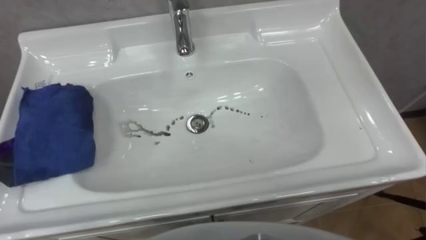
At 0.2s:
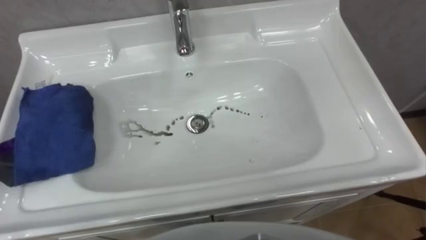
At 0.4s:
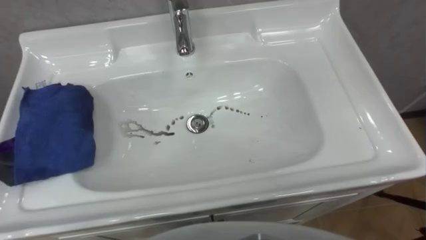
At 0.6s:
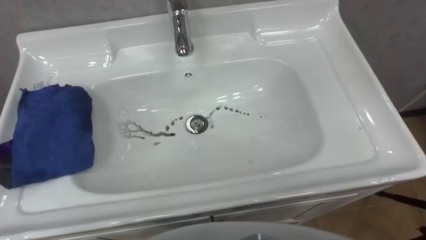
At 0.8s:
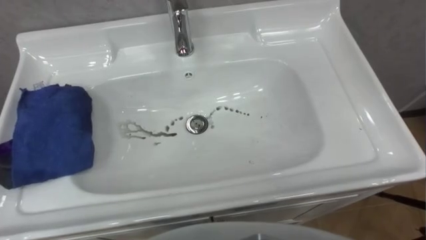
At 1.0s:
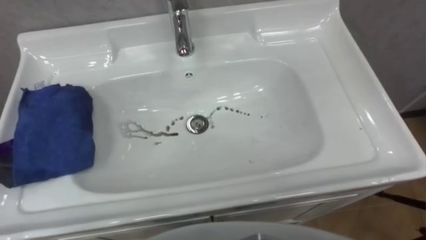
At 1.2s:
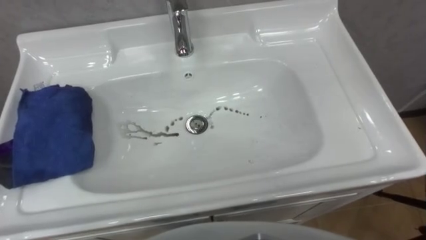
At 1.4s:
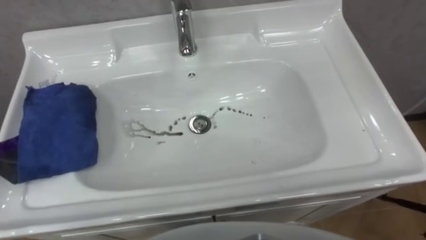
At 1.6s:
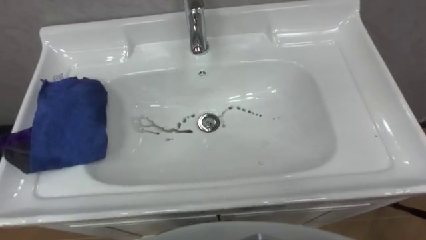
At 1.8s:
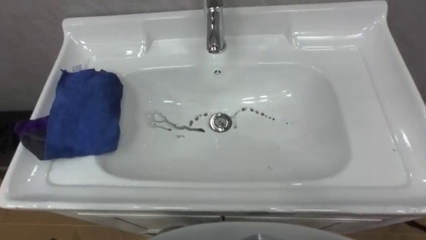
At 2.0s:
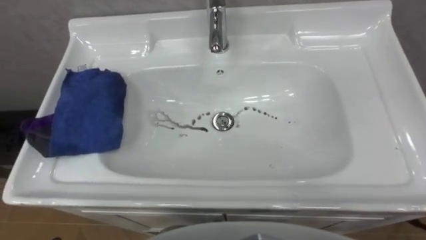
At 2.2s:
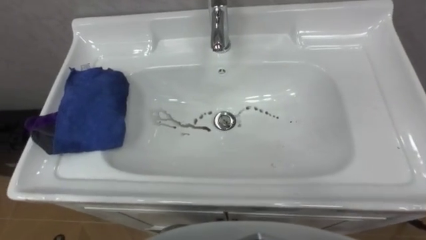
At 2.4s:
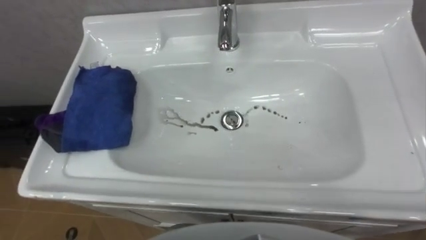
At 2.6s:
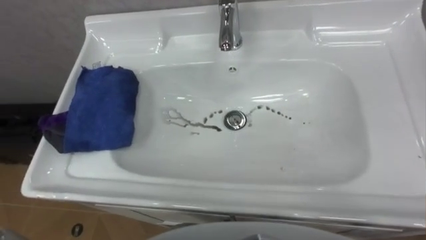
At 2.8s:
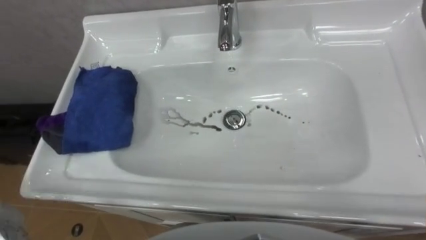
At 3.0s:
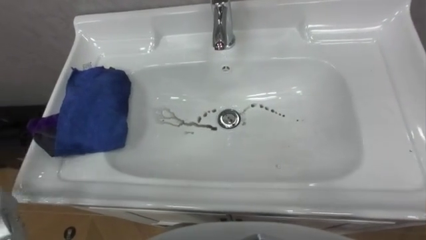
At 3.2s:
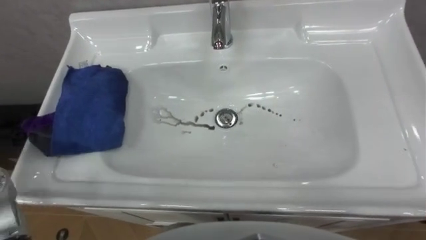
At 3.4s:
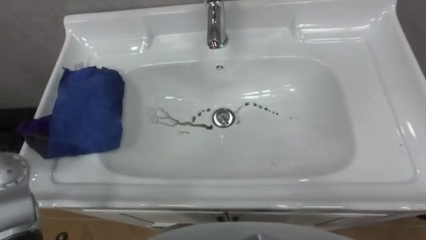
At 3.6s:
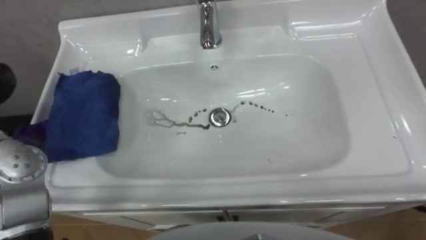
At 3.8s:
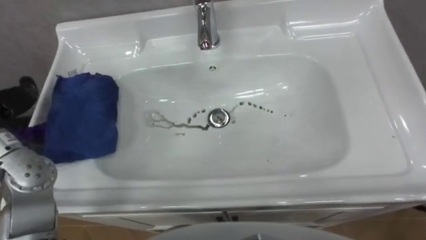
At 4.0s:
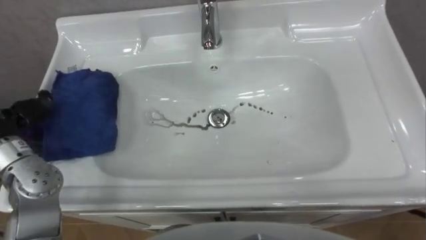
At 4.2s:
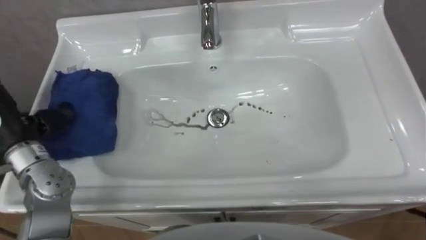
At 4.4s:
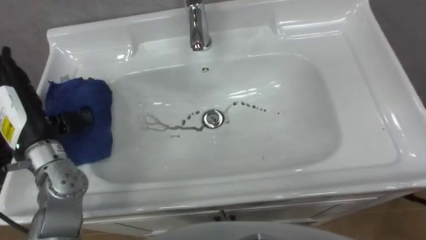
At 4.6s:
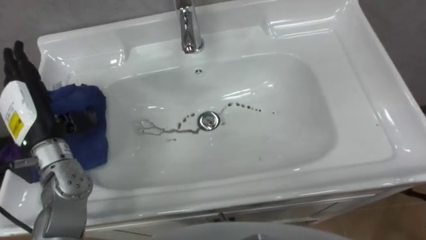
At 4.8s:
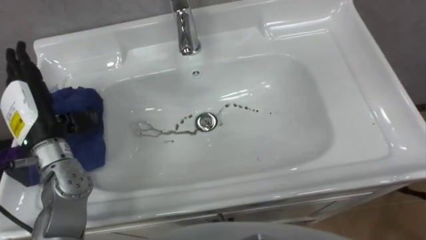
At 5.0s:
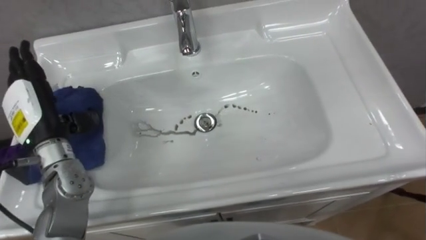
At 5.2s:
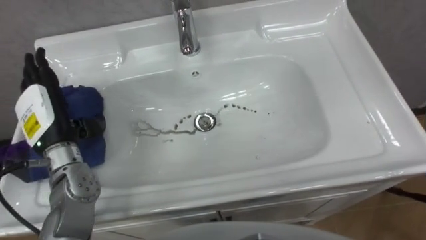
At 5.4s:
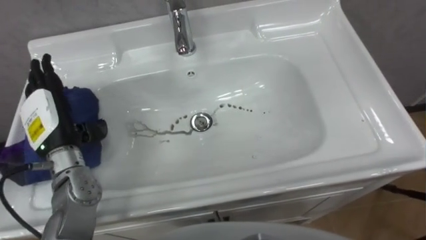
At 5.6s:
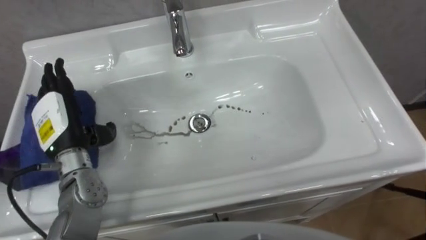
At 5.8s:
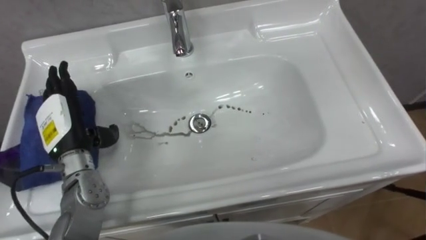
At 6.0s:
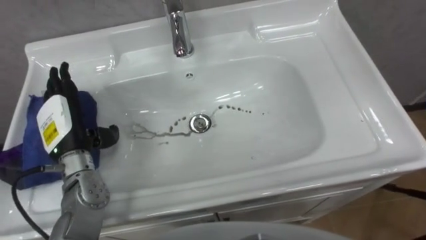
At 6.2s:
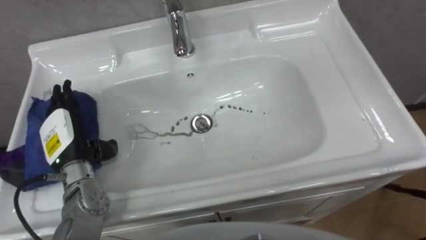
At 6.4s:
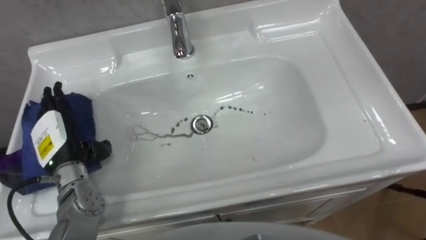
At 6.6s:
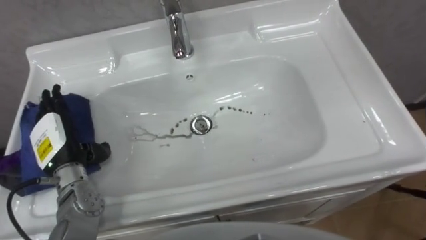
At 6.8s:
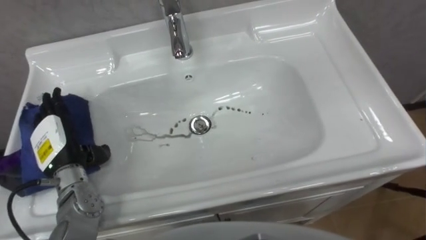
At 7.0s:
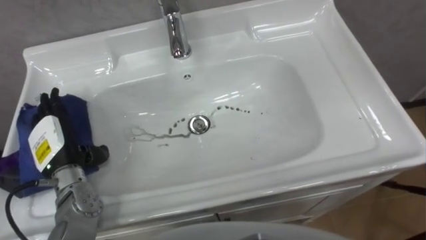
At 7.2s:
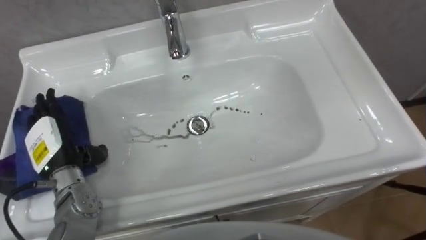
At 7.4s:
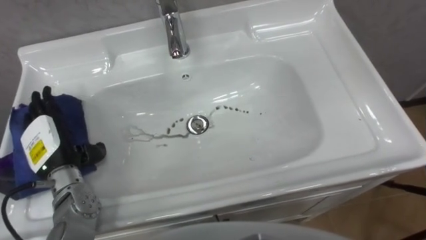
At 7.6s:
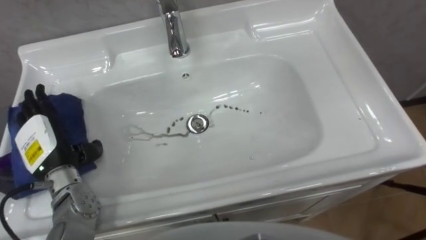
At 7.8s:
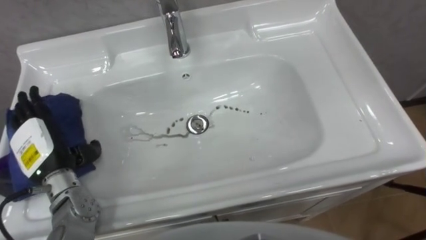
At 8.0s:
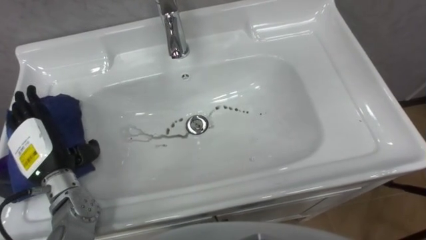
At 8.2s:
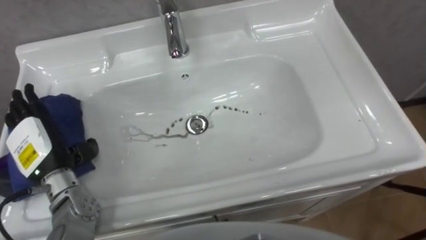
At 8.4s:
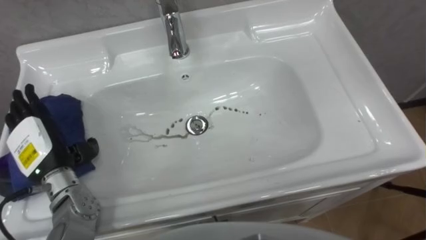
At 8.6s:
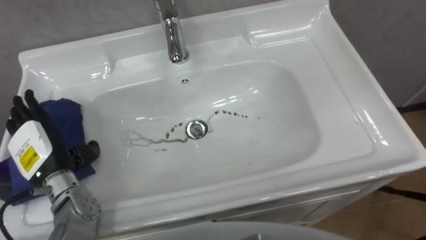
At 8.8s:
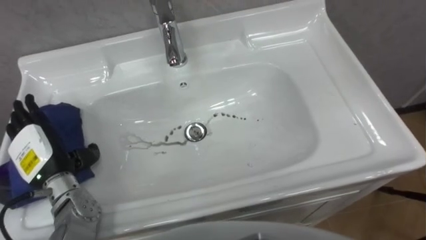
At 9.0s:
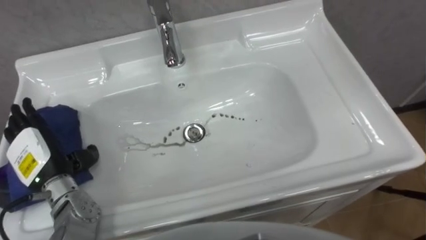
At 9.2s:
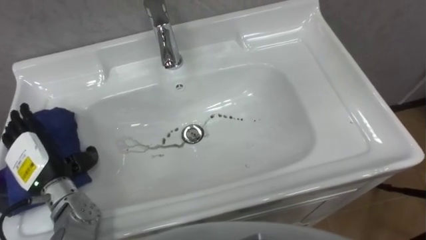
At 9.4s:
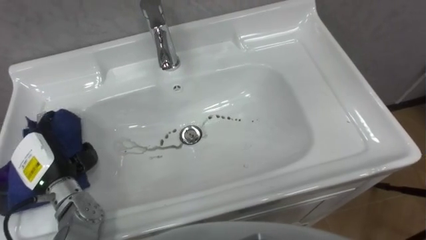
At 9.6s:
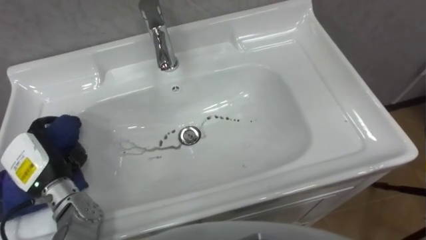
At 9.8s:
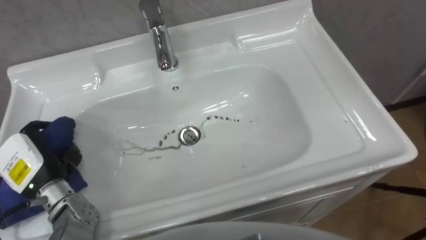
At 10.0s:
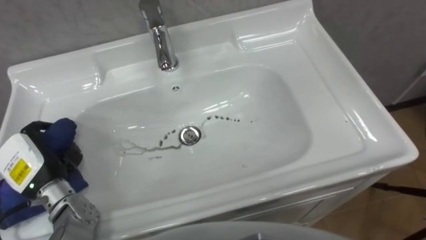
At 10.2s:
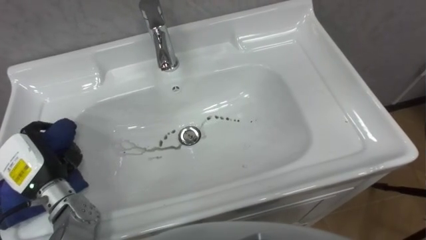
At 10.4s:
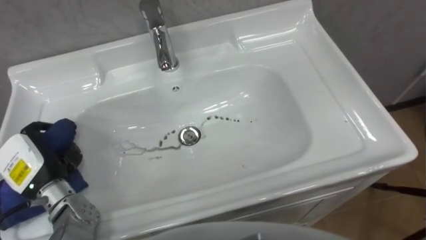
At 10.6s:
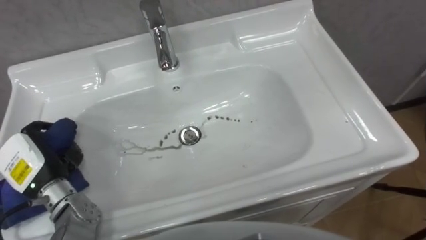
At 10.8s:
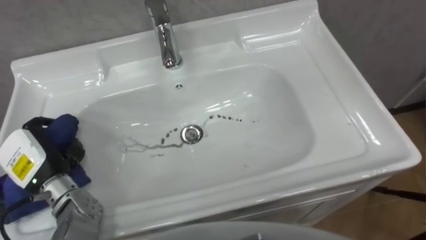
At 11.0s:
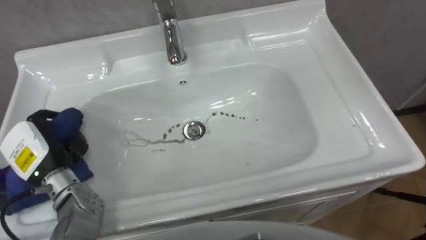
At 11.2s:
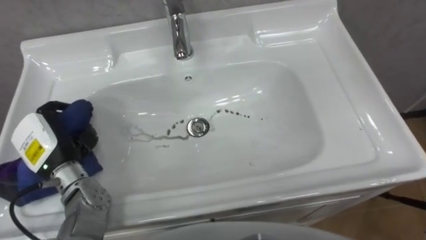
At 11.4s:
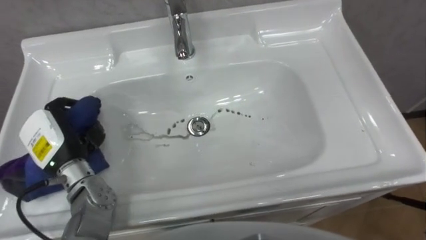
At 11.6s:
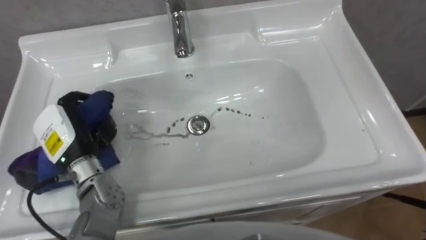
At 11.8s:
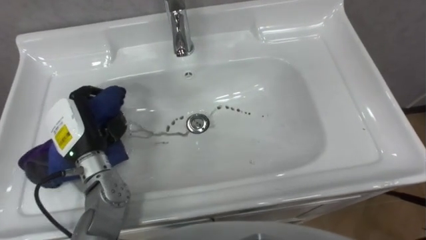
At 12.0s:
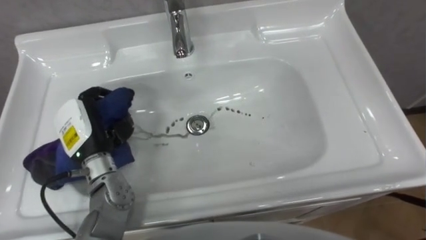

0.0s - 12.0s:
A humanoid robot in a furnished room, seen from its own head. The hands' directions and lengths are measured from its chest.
Task of the whole recording: Use the cloth on the right to wipe away the black stain in the sink.
4.4s - 6.0s: The left hand shifts by some 5 cm.
6.0s - 7.6s: The left hand moves some 5 cm.
9.0s - 10.4s: The left hand closes.
10.4s - 12.0s: The left hand shifts approximately 10 cm to the right and forward.

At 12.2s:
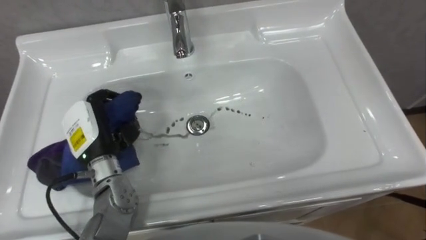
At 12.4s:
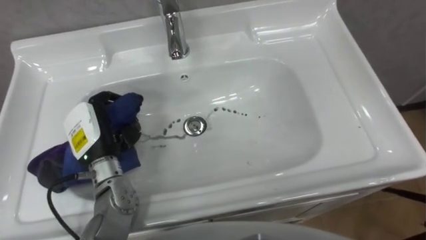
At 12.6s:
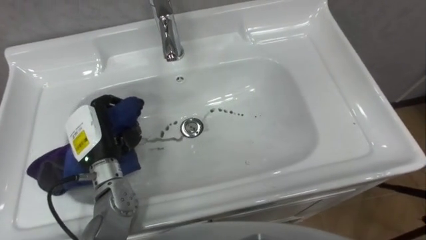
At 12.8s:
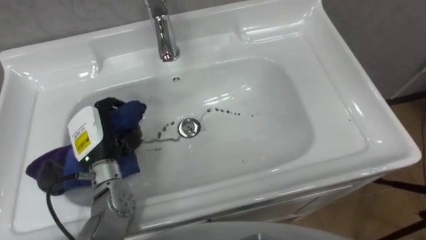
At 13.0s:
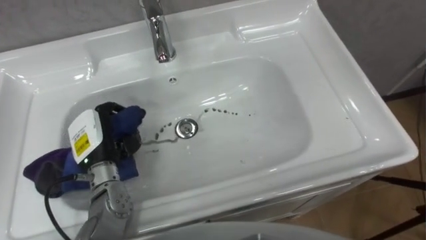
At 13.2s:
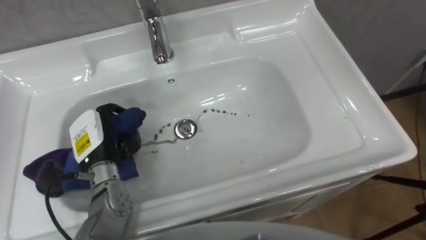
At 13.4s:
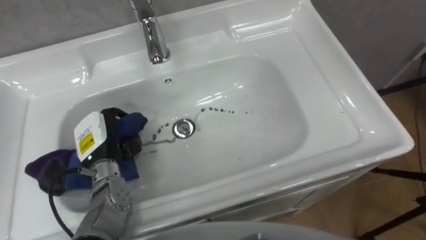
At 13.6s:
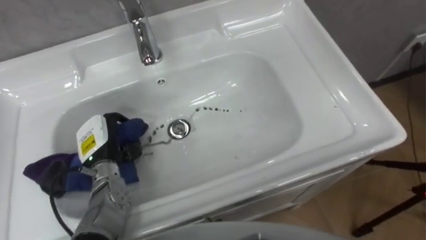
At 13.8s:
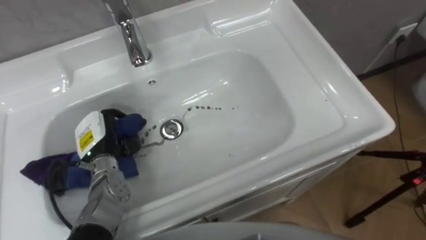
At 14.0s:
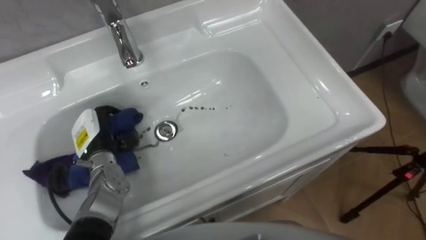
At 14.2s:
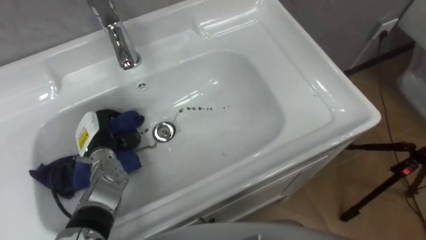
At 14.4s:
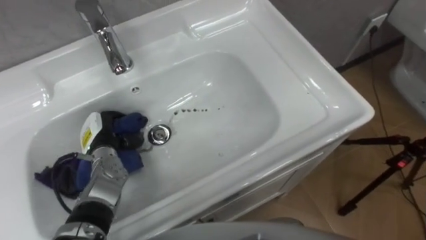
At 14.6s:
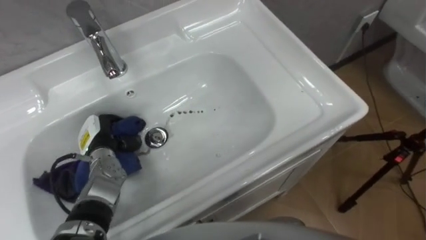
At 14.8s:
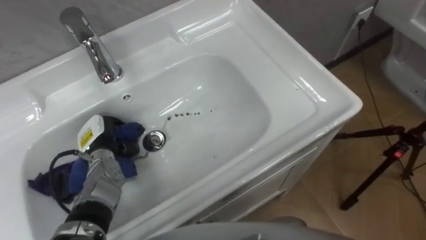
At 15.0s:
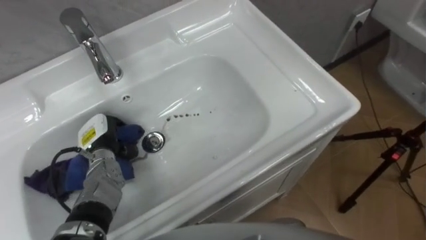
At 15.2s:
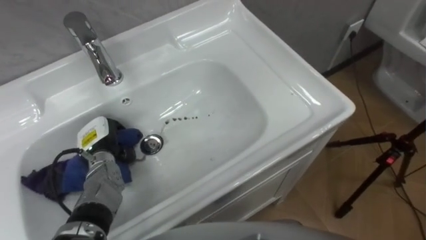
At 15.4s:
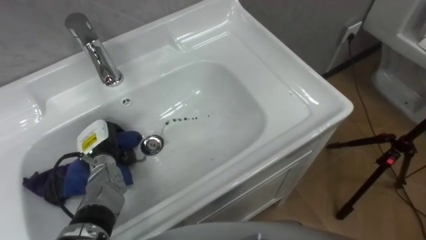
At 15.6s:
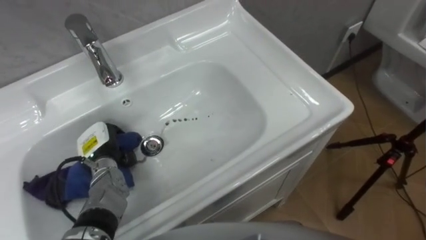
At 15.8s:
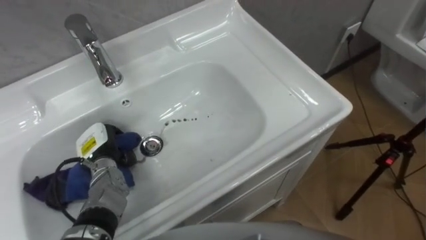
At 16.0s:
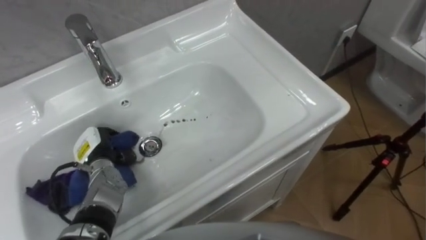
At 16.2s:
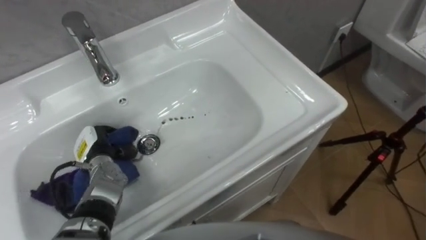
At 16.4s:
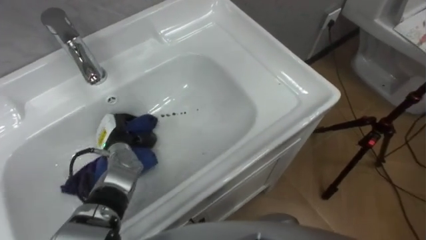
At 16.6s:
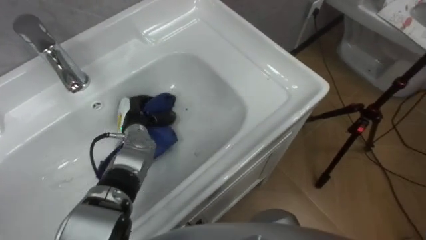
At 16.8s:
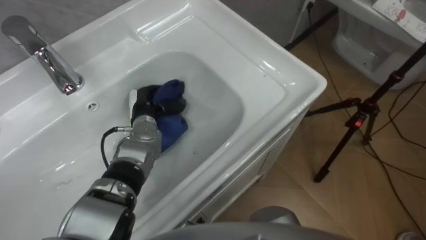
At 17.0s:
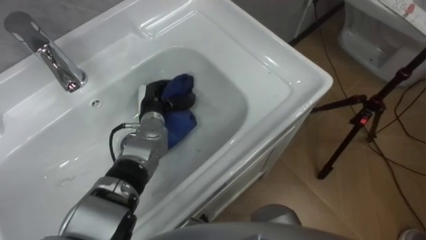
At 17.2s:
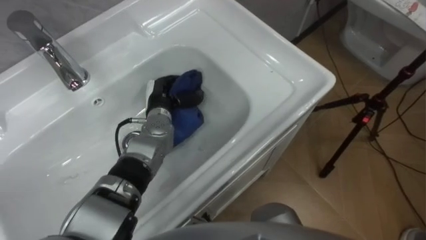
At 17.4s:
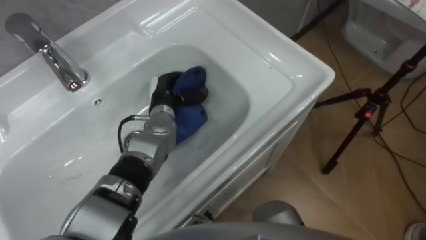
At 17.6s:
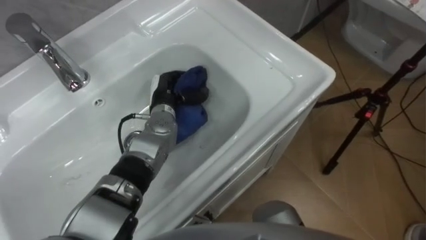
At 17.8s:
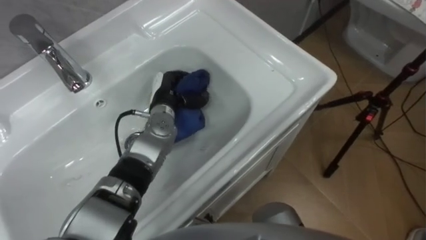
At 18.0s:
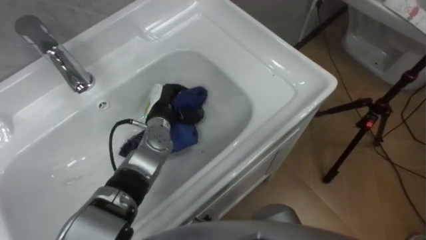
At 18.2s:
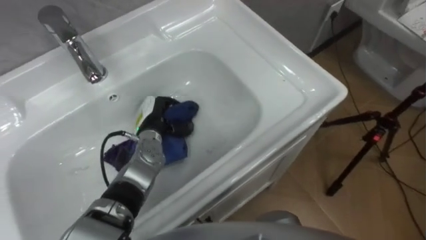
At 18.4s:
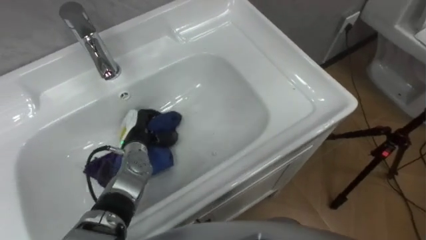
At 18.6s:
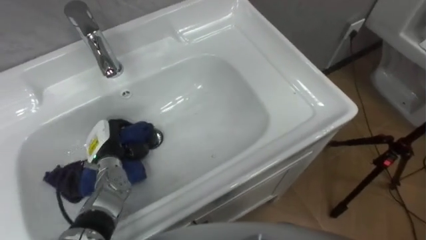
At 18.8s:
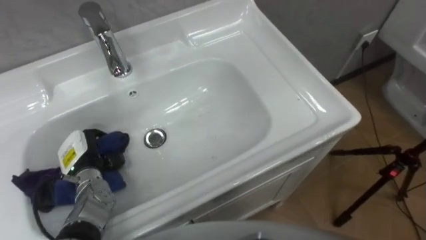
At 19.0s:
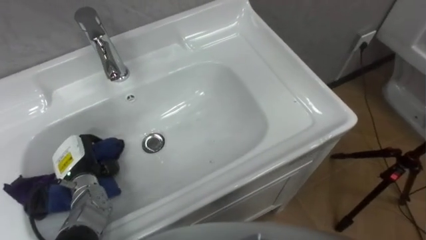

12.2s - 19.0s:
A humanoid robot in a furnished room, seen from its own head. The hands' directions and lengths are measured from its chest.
Task of the whole recording: Use the cloth on the right to wipe away the black stain in the sink.
12.2s - 13.6s: The left hand goes about 5 cm downward.
16.2s - 17.6s: The left hand travels to the right, forward and upward by roughly 20 cm.
17.6s - 19.0s: The left hand travels to the left and backward by approximately 25 cm.
